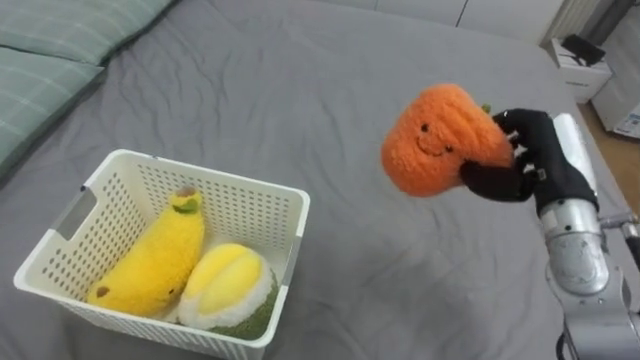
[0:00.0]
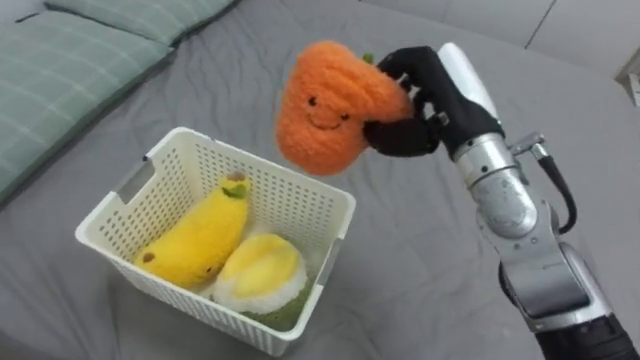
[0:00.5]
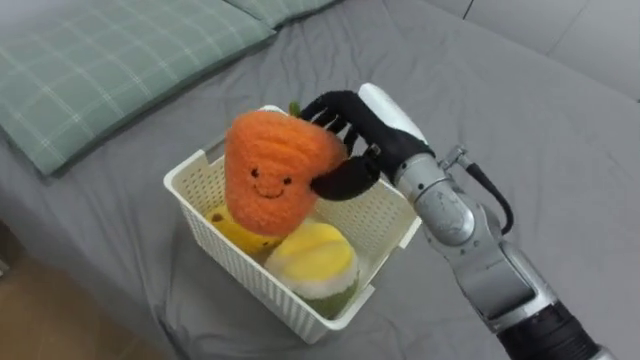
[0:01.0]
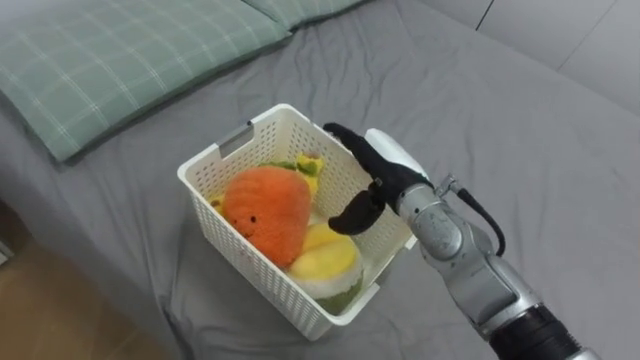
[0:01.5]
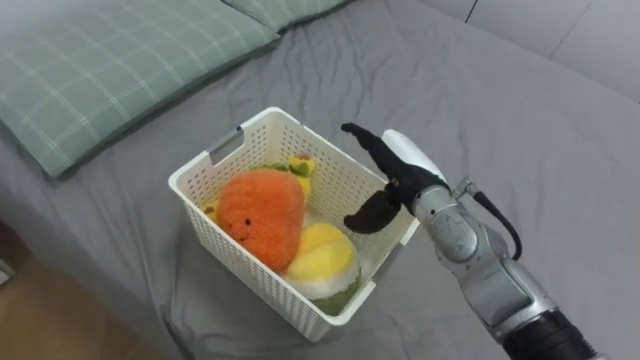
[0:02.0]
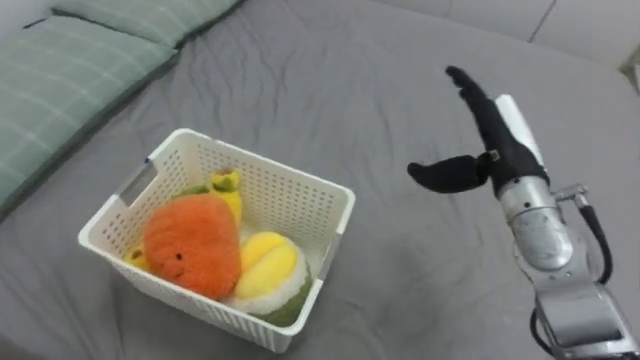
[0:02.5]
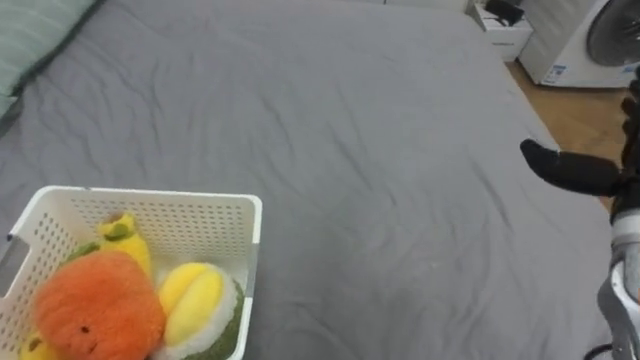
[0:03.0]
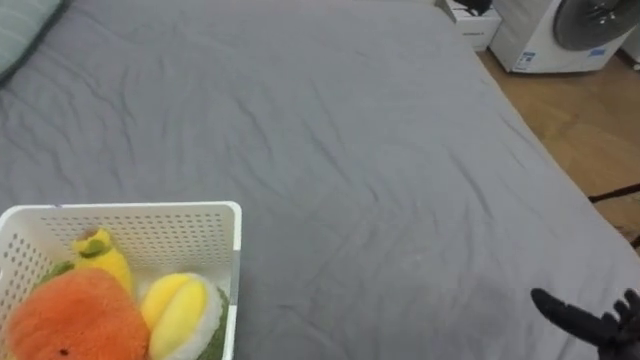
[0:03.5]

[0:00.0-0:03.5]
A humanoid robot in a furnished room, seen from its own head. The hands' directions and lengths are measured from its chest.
Task of the whole recording: Put the toys on the bed into the basket on the left.
0:00.0 to 0:02.0: The right hand shifts approximately 15 cm to the left, and opens its fingers.

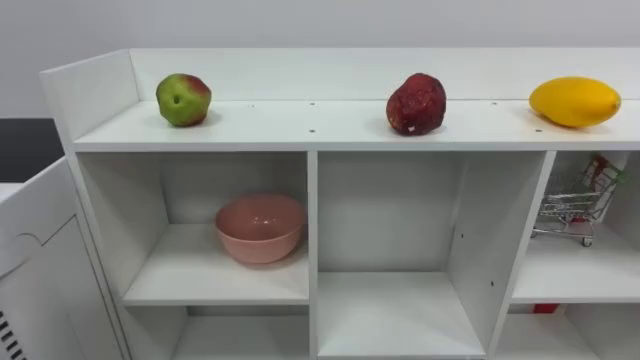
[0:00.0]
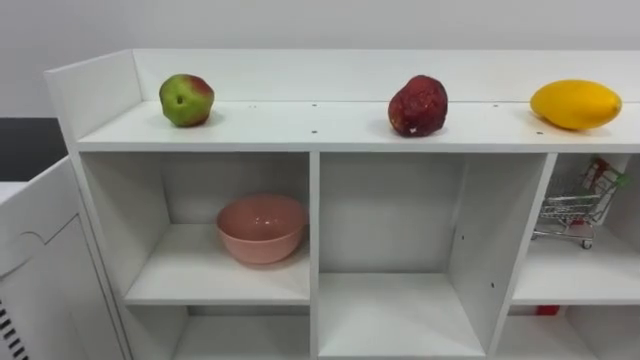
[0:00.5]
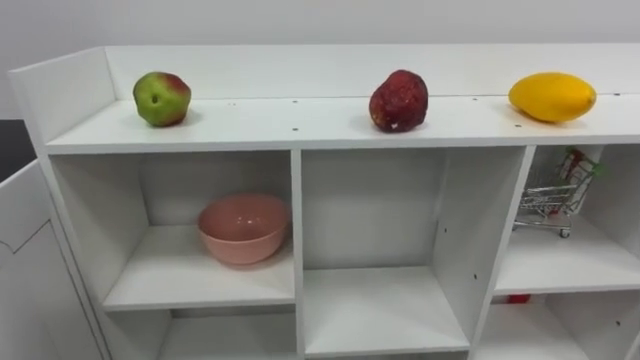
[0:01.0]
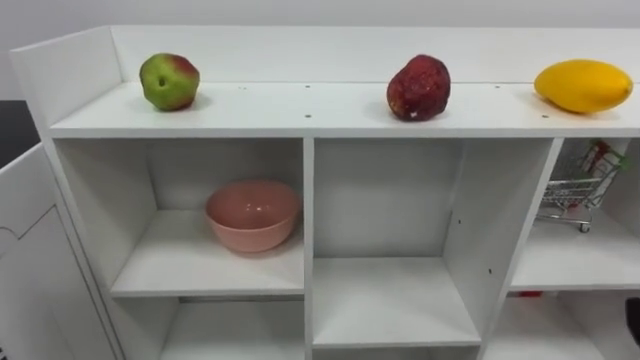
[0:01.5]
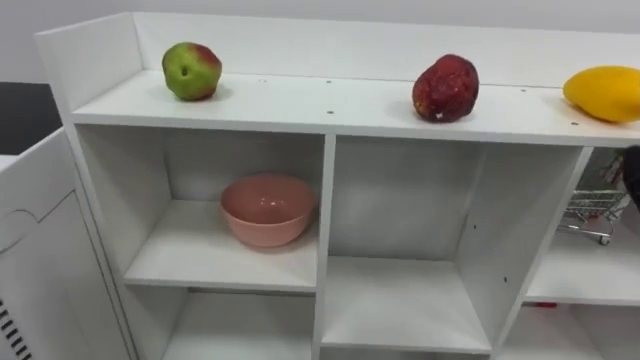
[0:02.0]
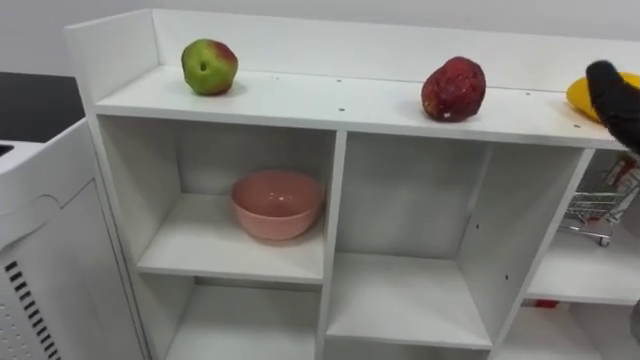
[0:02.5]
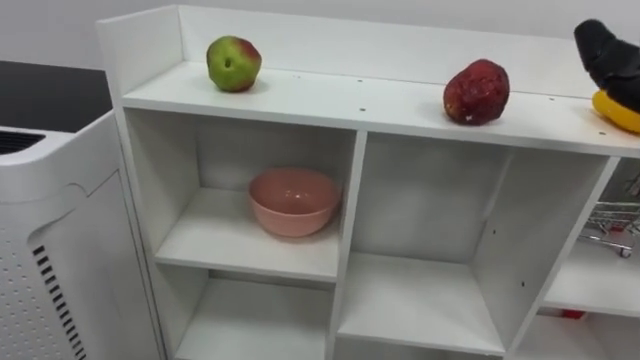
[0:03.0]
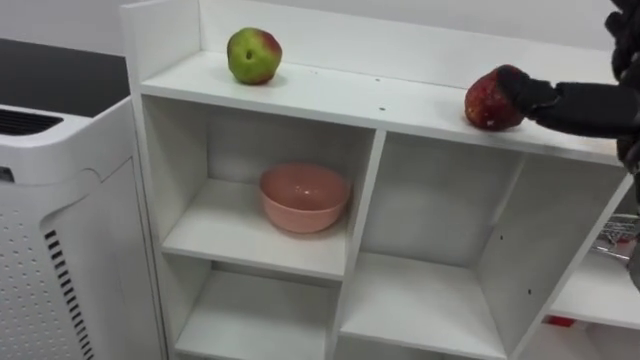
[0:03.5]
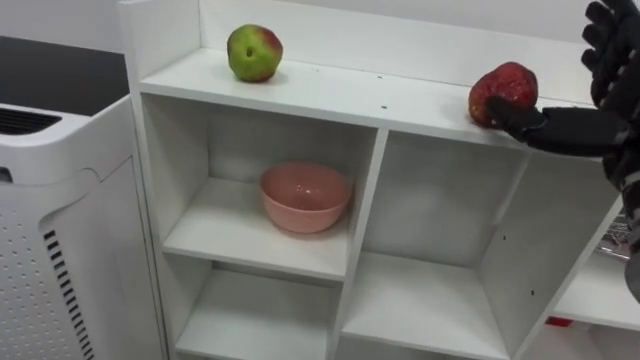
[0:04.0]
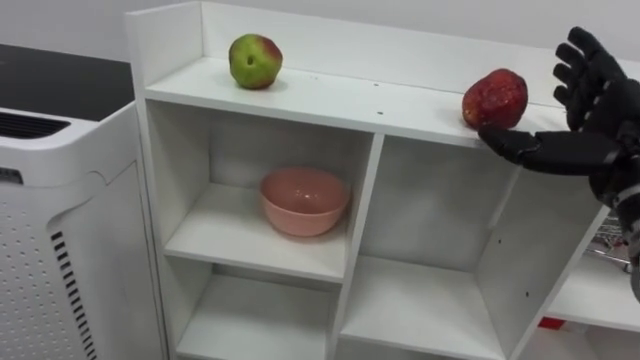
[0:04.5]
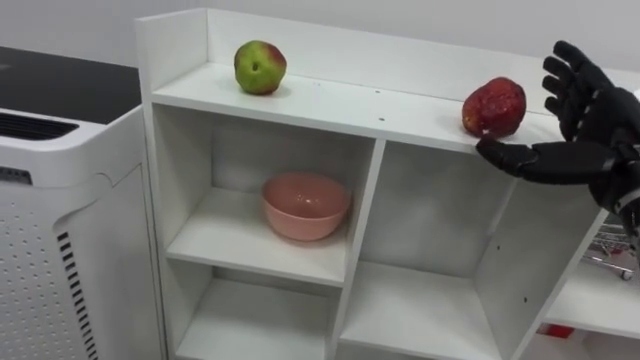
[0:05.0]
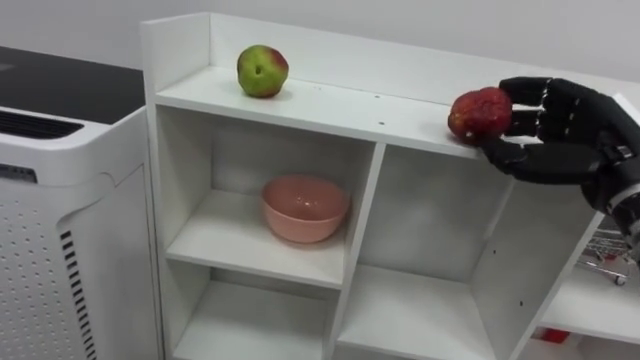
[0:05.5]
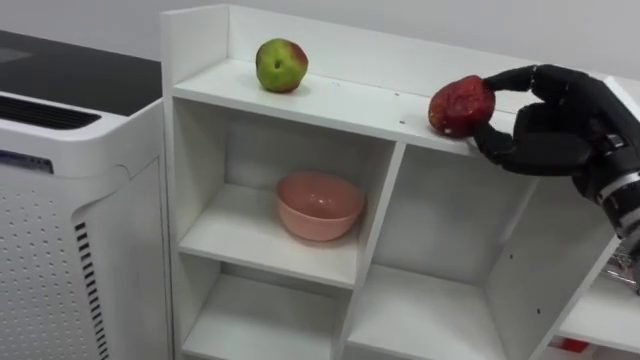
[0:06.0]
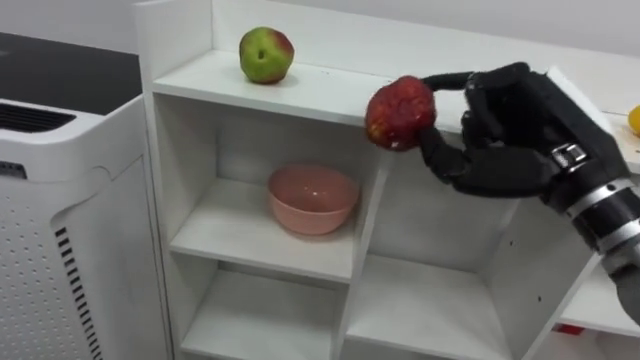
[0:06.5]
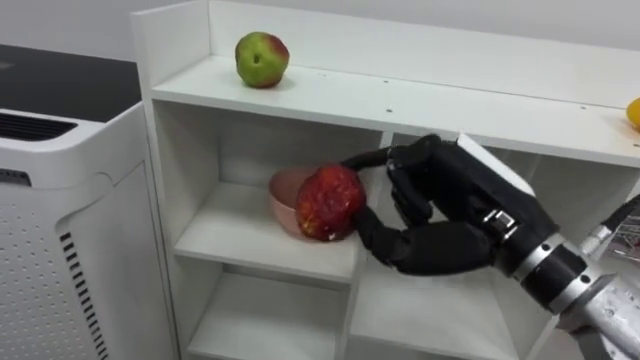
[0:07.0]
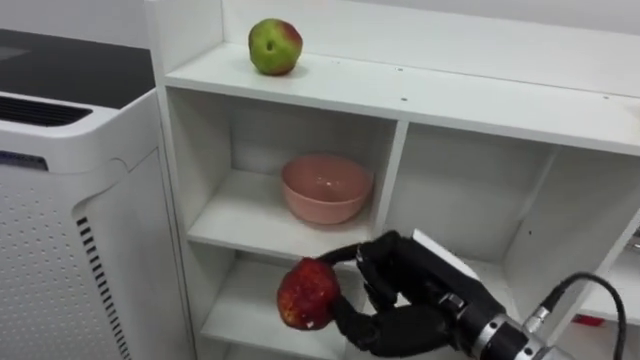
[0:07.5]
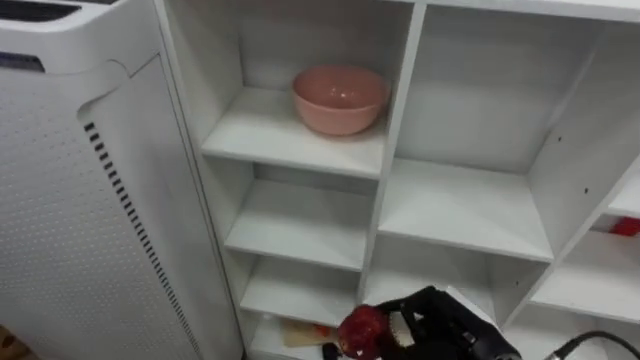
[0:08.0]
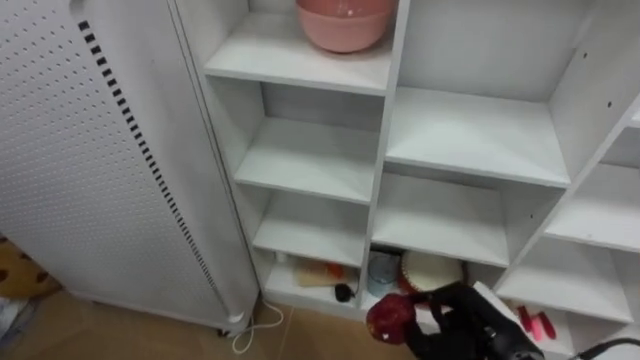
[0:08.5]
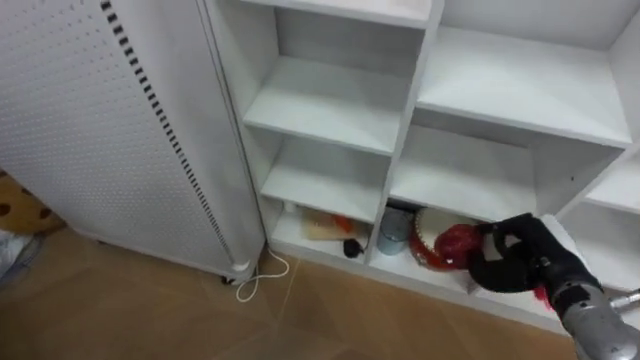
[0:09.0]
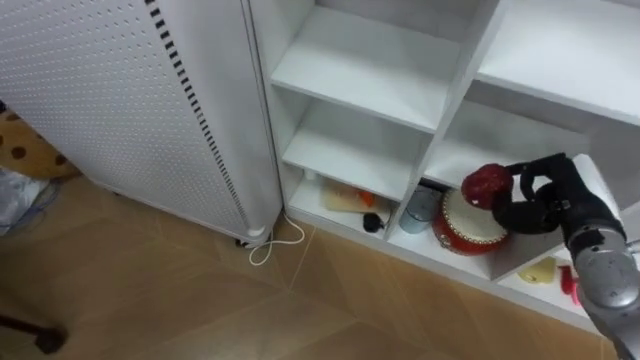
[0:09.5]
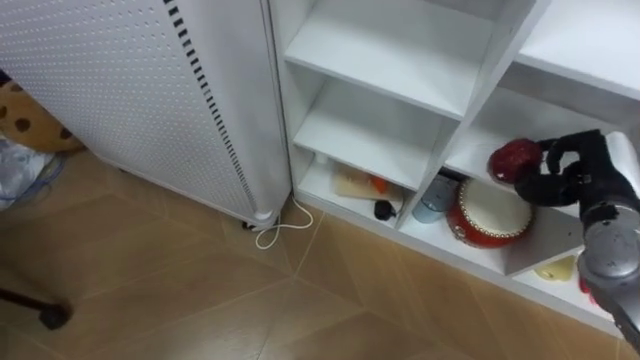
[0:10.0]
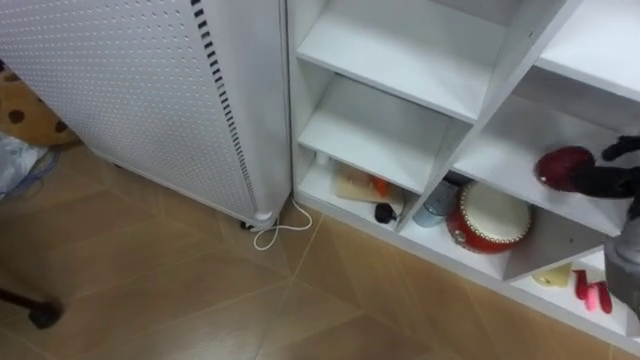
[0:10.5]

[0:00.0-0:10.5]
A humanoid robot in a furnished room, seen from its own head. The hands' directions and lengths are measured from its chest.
Task of the whole recording: Put the apple in the cell in the second column from the left and the second row from the top.
0:04.0 to 0:06.5: The right hand moves to the left, about 10 cm, and closes.
0:06.5 to 0:08.5: The right hand heads downward, covering approximately 25 cm.

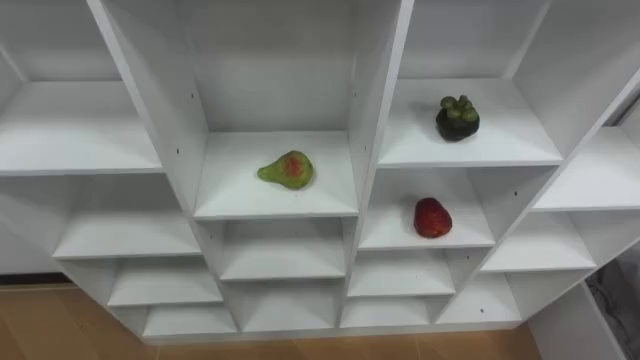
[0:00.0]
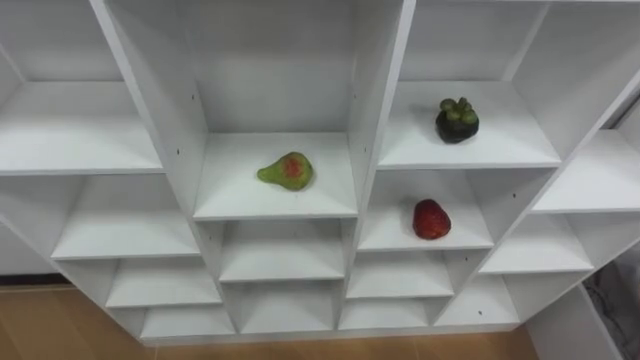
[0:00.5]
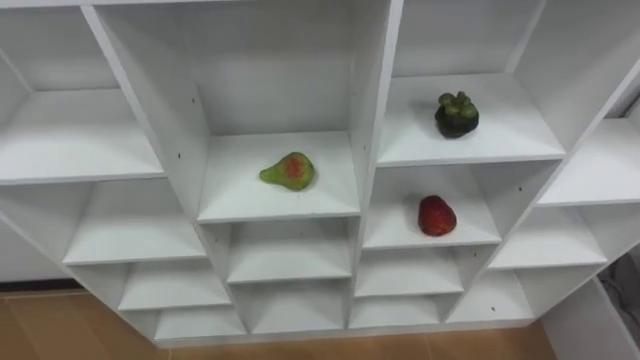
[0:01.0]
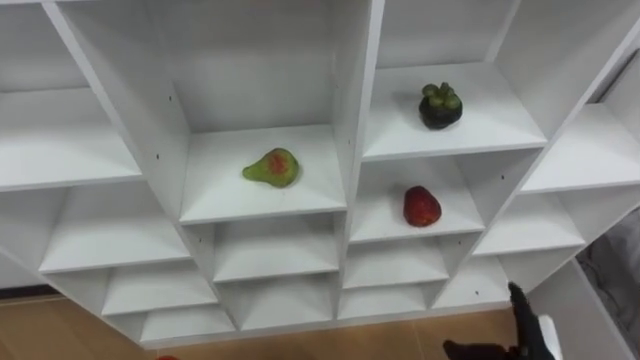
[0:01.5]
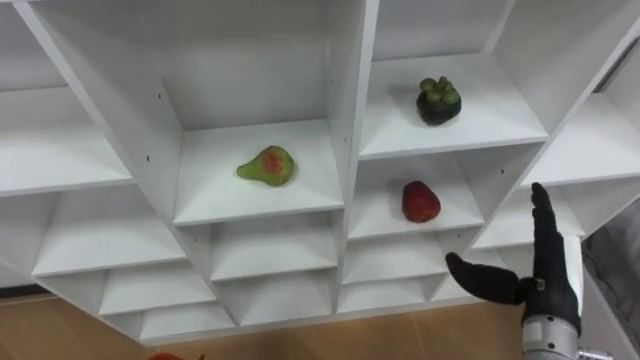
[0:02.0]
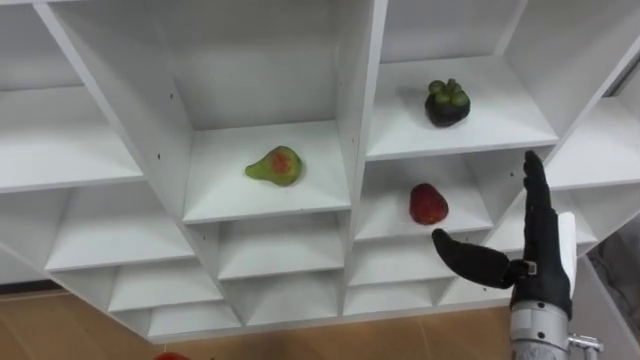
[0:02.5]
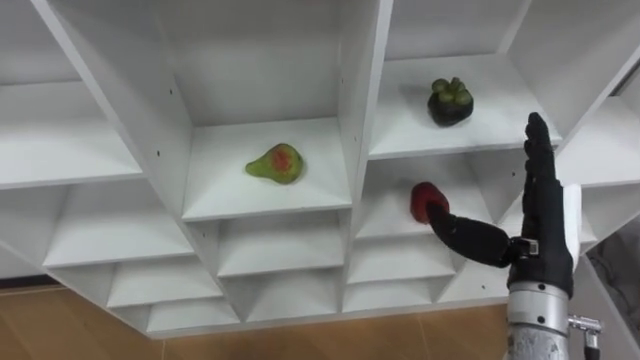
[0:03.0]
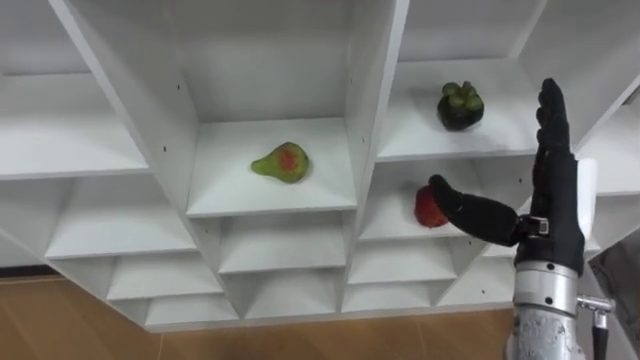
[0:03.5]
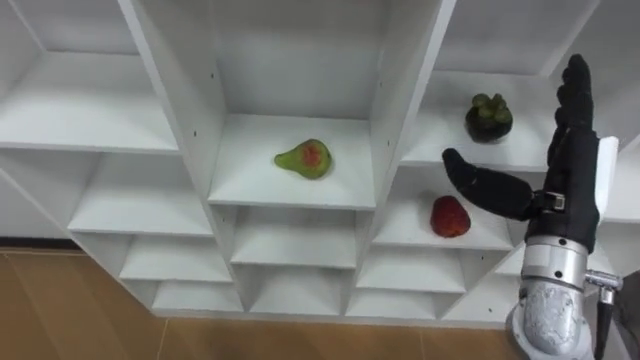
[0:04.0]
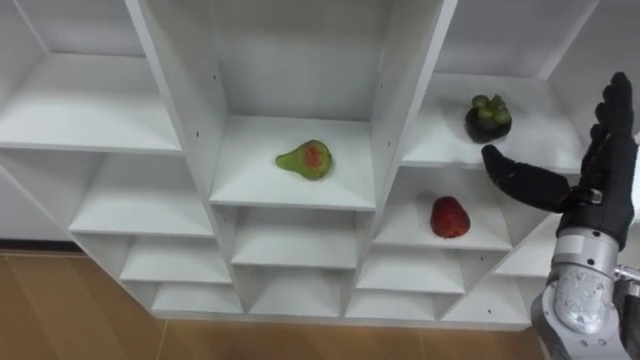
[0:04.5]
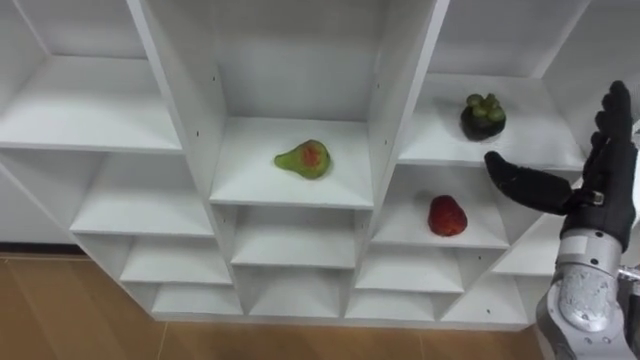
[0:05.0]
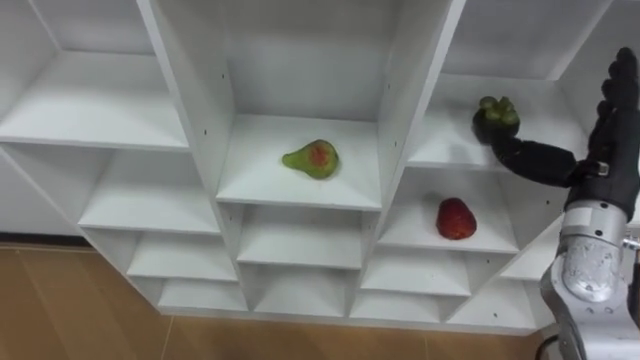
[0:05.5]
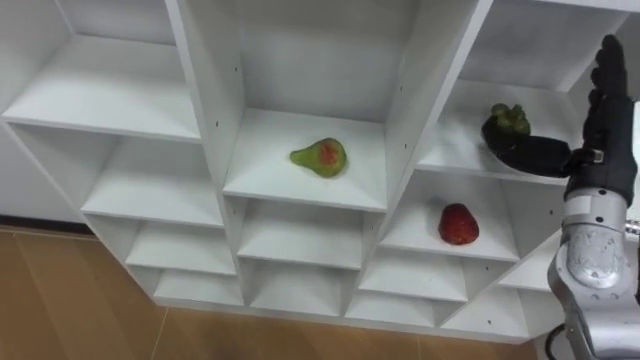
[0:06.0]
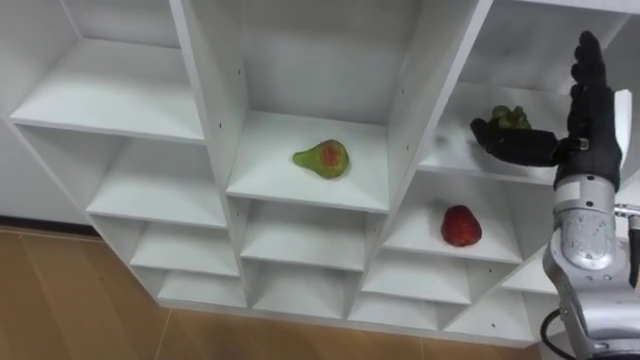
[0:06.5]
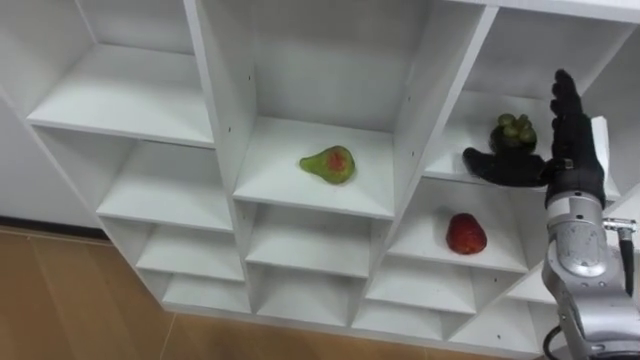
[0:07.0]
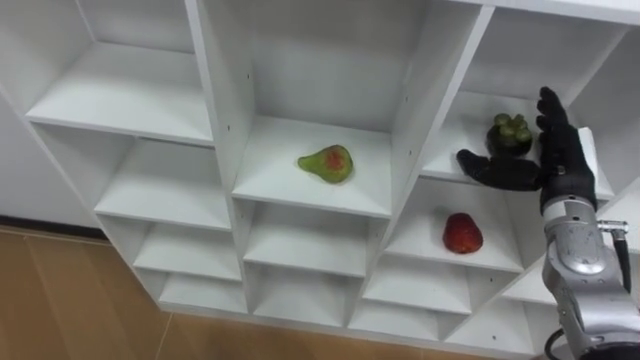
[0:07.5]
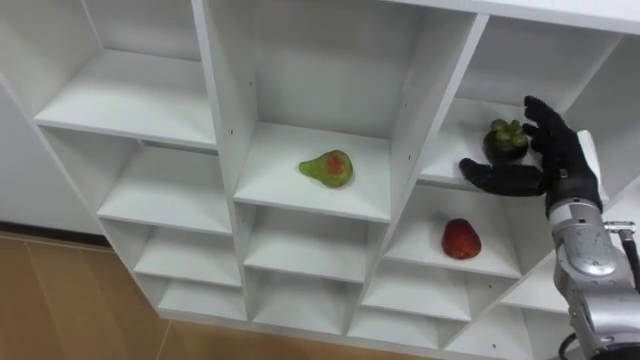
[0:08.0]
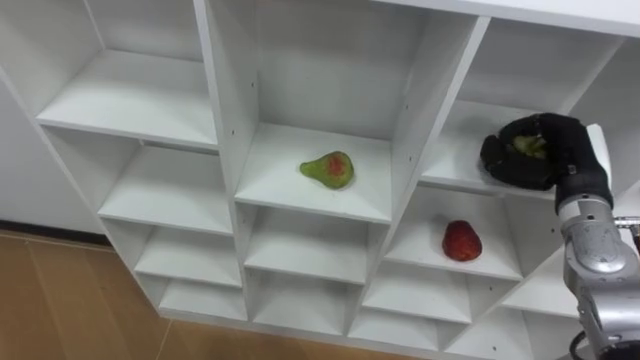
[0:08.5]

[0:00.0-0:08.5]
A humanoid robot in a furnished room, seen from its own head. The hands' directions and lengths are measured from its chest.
Task of the whole recording: Hold the basket and collect the fruits from 3 different cells of the closet into it.
0:02.0 to 0:04.0: The right hand goes about 10 cm upward.
0:04.0 to 0:06.5: The right hand shifts roughly 5 cm forward.
0:06.5 to 0:08.5: The right hand heads downward, covering about 5 cm, and closes.
